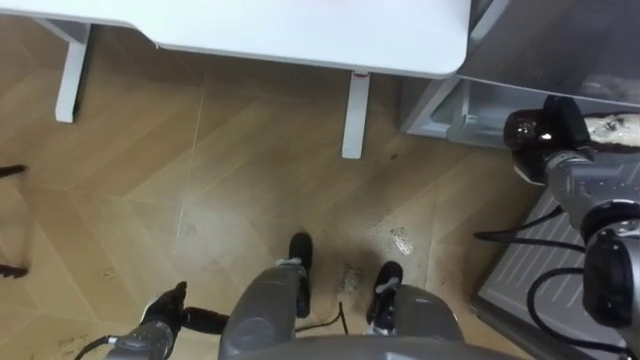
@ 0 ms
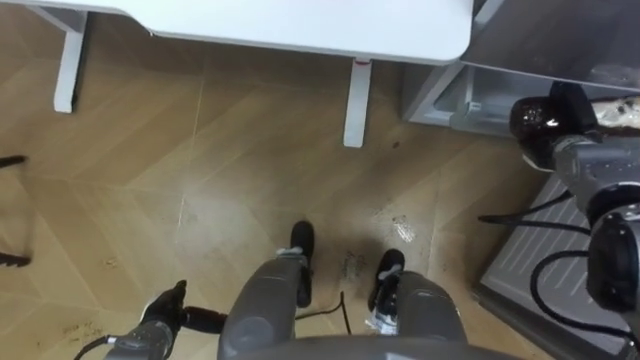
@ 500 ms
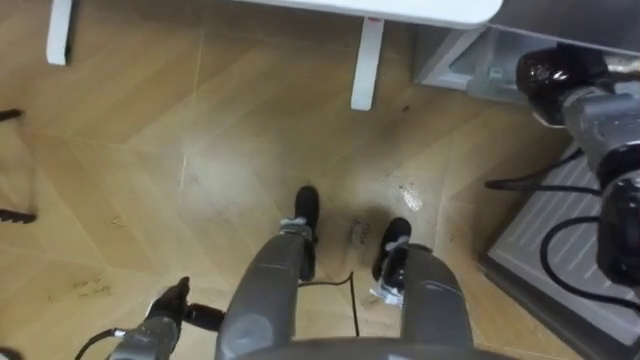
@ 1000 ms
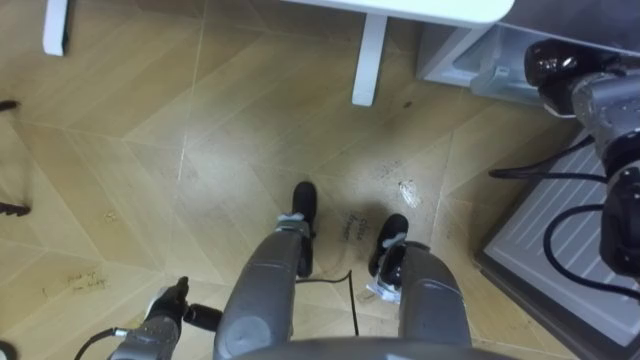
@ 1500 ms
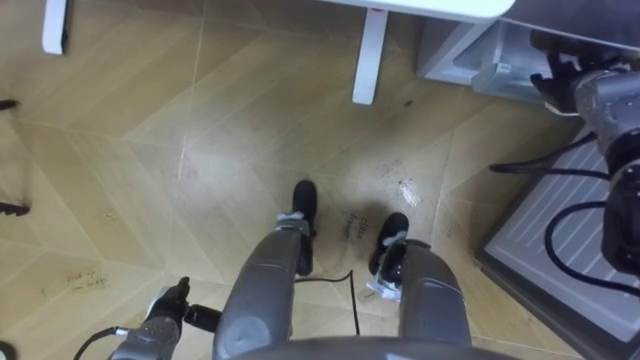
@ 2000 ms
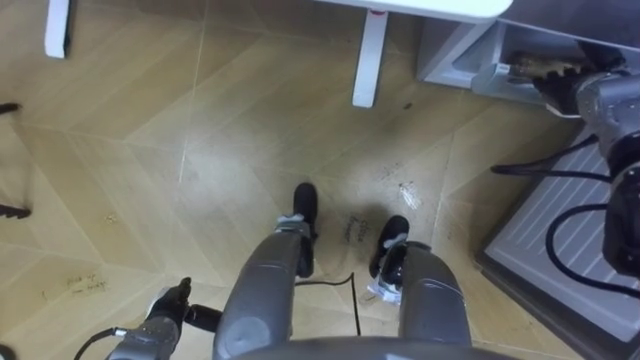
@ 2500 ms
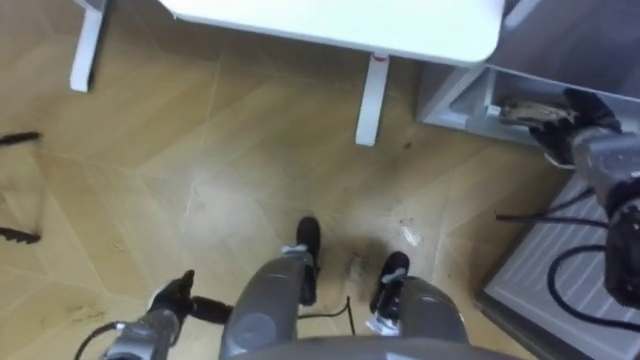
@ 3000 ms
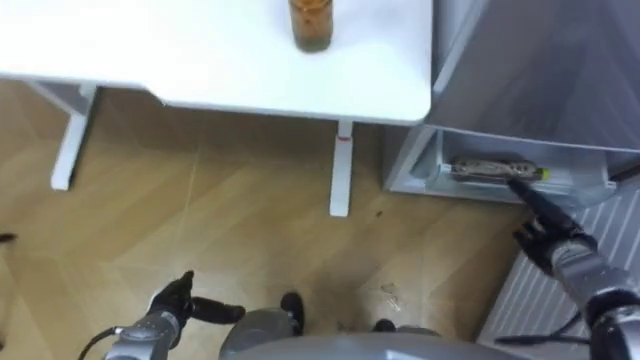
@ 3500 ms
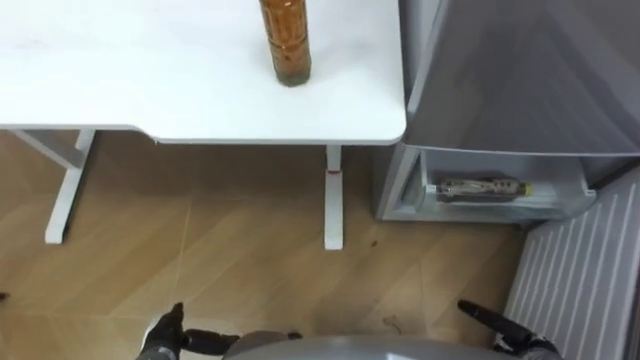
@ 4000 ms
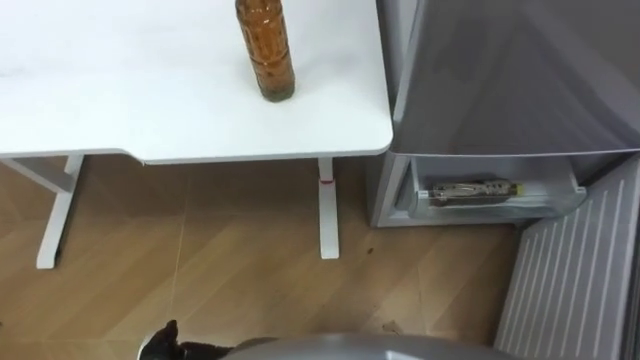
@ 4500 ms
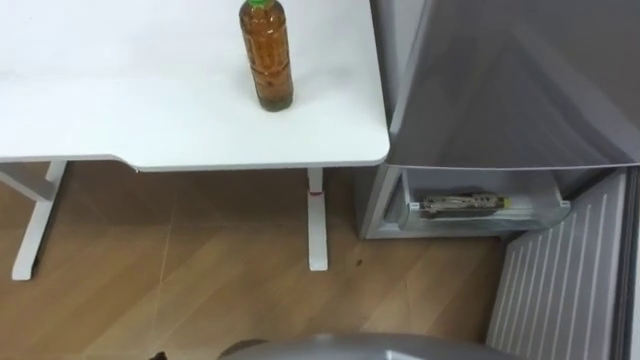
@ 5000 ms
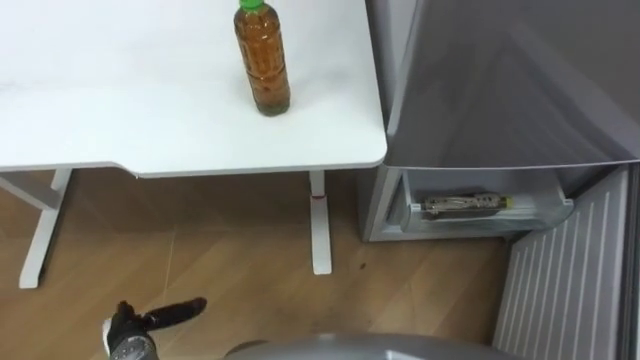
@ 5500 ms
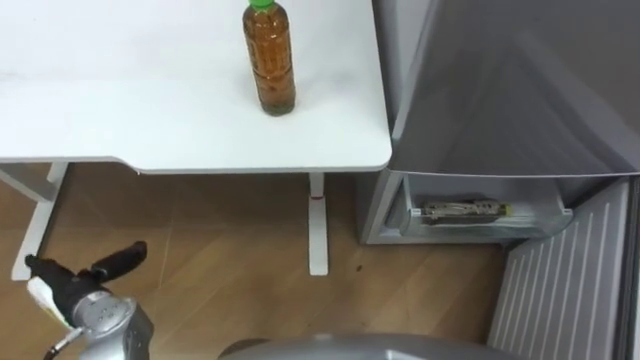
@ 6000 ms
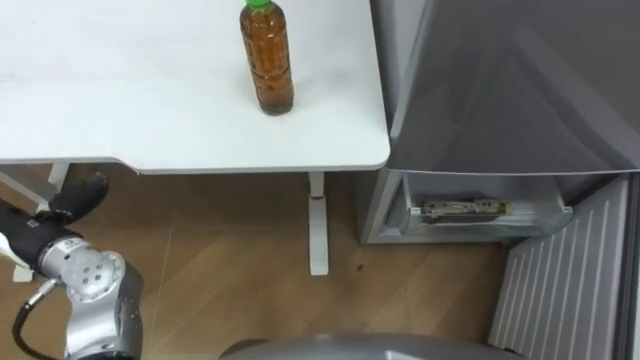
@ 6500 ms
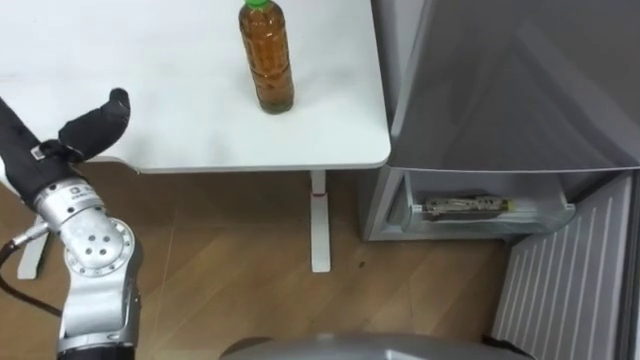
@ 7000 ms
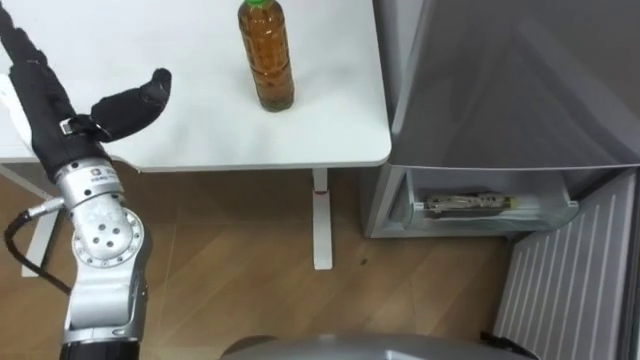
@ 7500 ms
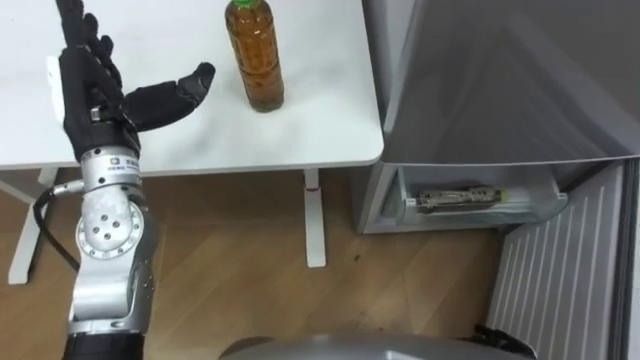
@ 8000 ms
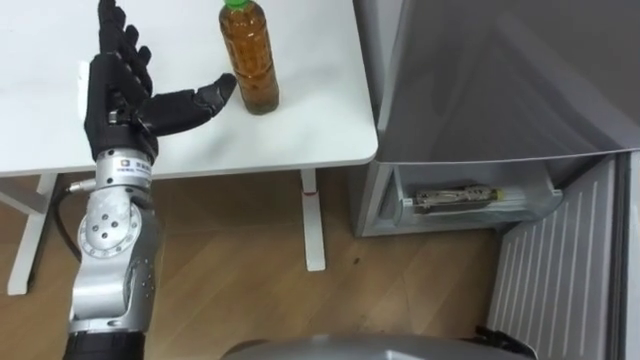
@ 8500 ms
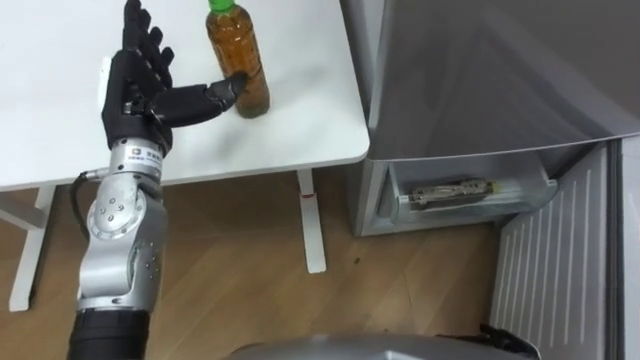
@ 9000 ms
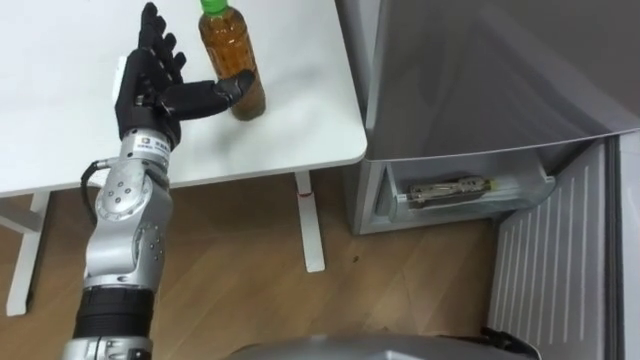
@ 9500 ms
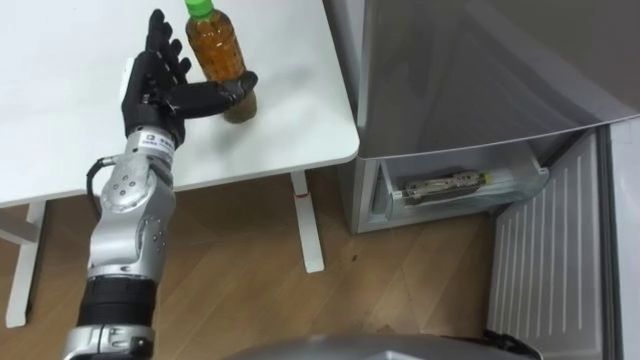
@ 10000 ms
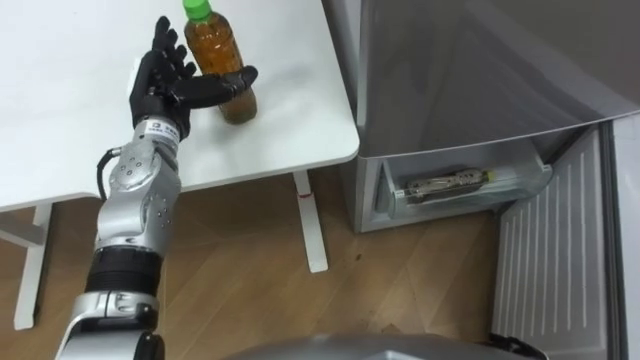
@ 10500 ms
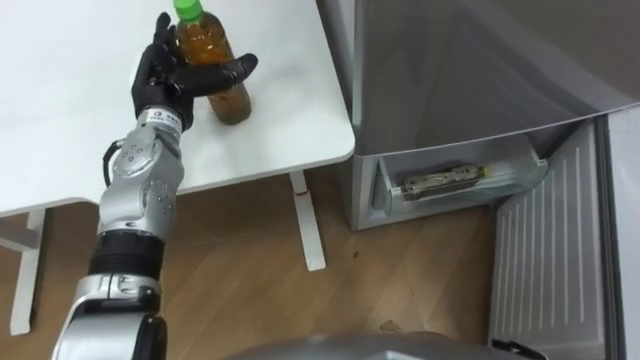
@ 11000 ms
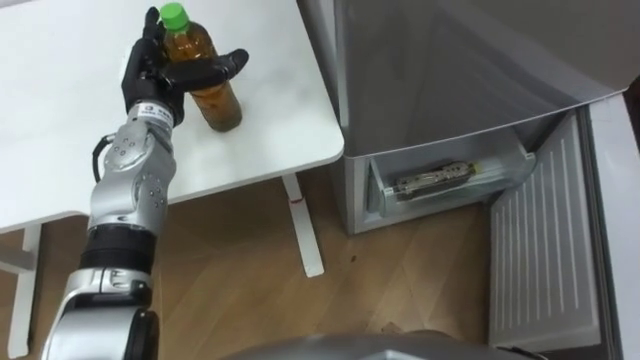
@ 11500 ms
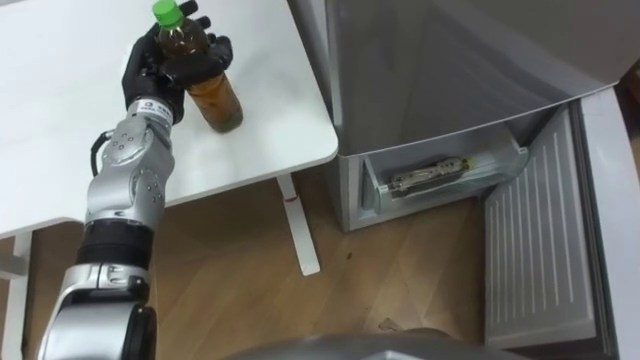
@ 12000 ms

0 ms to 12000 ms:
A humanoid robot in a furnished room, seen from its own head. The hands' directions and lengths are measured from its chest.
Task of the whole recording: Place the drink on the table on the bottom shelf of the refrigerator, then close the drawer and the refrigerator door.
0 ms to 2000 ms: The right hand goes some 10 cm upward and forward, and opens up.
2000 ms to 4000 ms: The right hand goes roughly 40 cm backward and downward.
6000 ms to 8000 ms: The left hand heads upward, forward and to the right, covering some 30 cm.
8000 ms to 10000 ms: The left hand is displaced downward by some 5 cm.
10000 ms to 12000 ms: The left hand closes up.

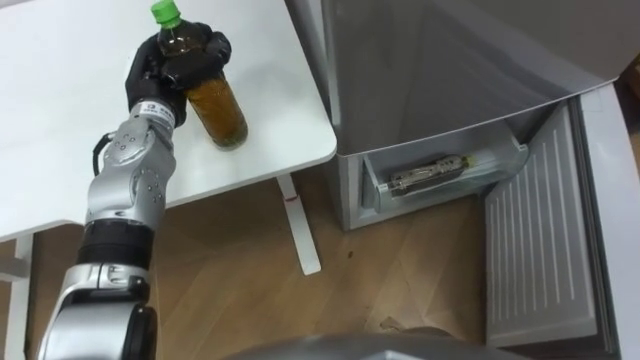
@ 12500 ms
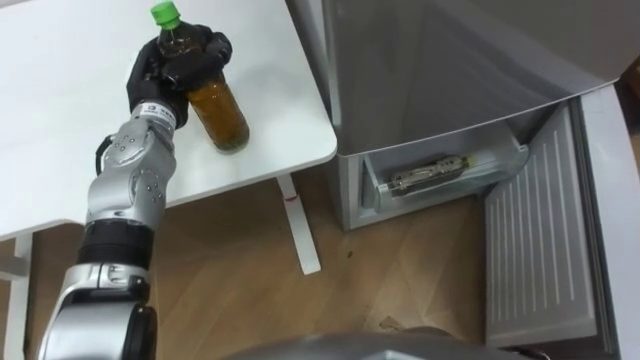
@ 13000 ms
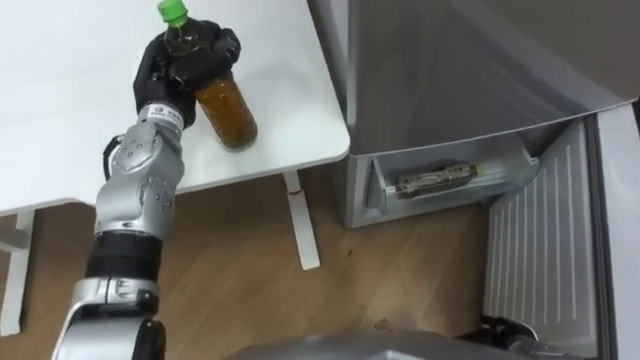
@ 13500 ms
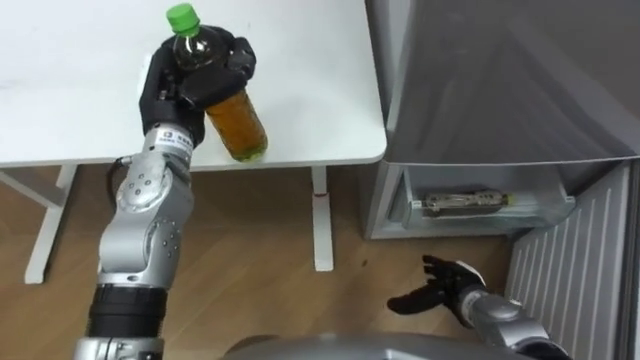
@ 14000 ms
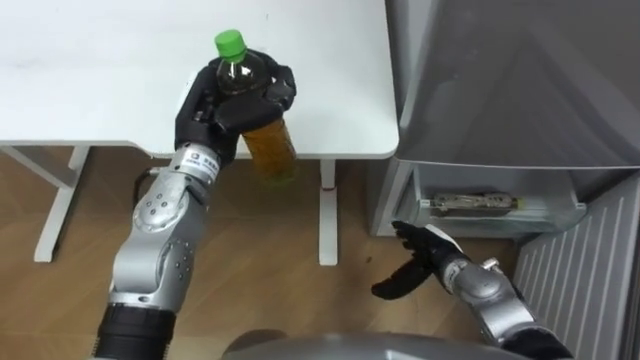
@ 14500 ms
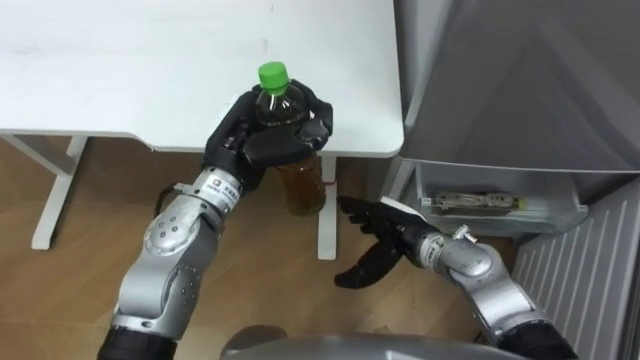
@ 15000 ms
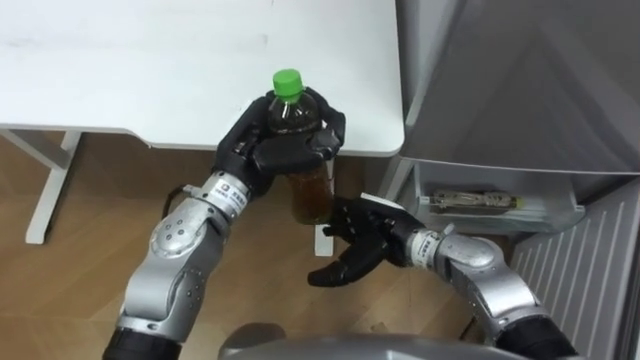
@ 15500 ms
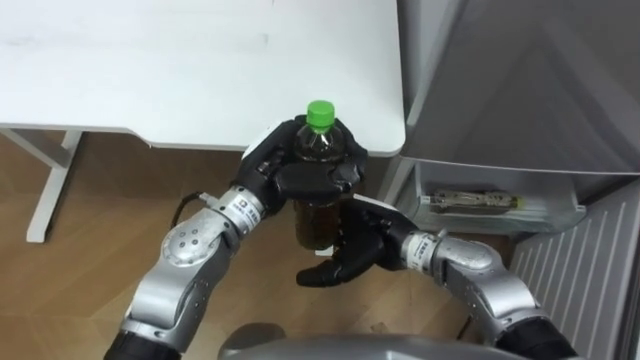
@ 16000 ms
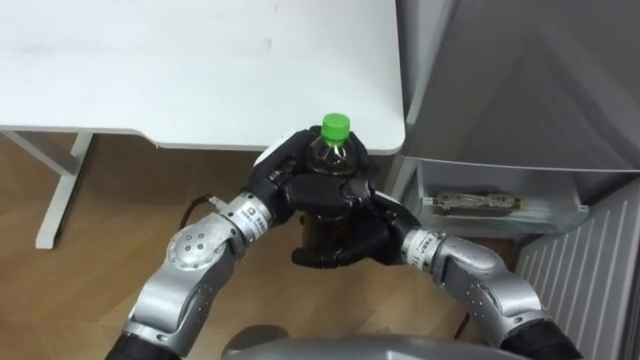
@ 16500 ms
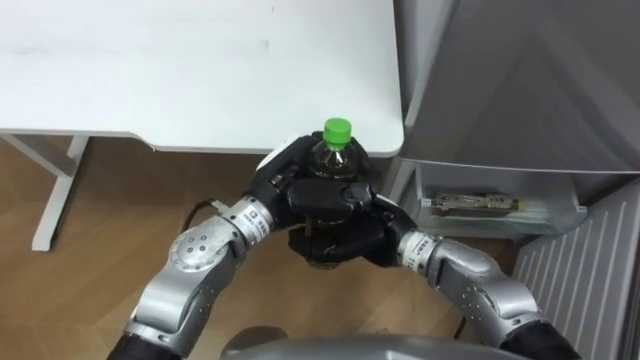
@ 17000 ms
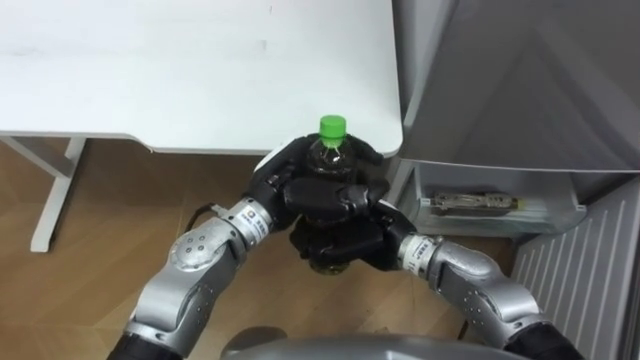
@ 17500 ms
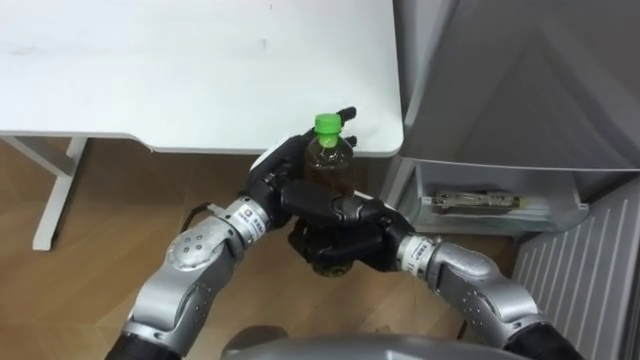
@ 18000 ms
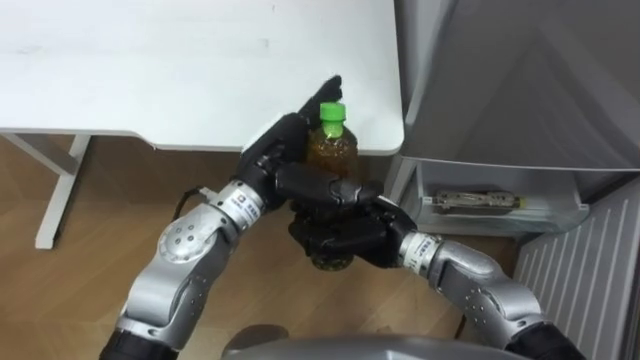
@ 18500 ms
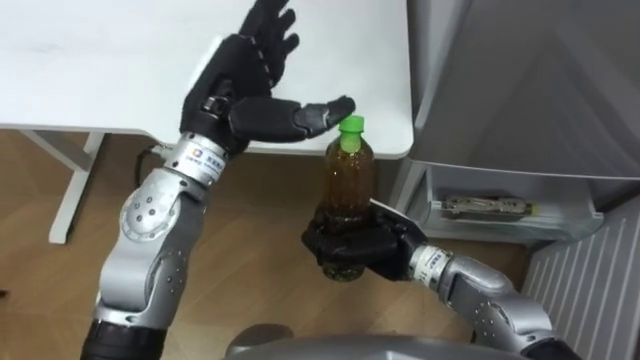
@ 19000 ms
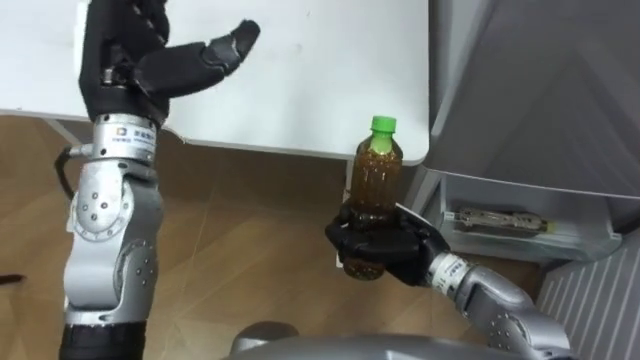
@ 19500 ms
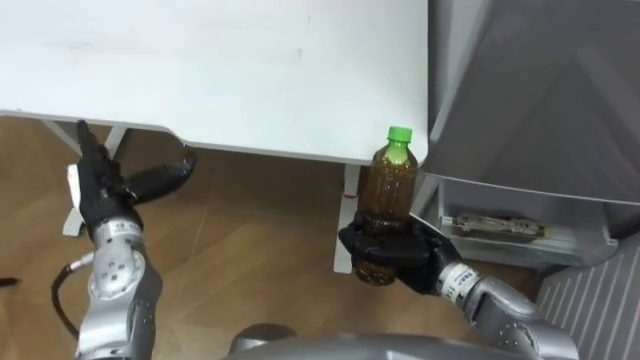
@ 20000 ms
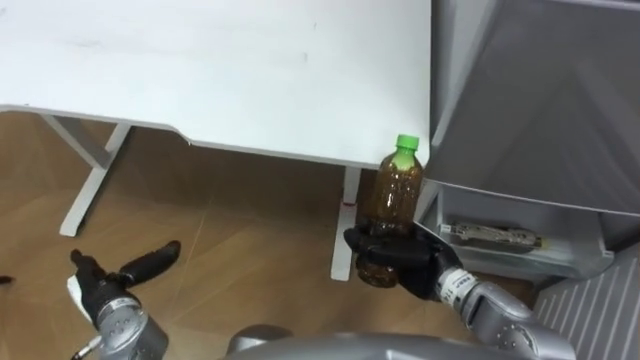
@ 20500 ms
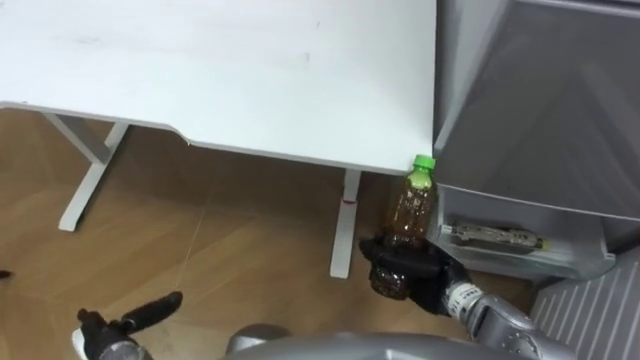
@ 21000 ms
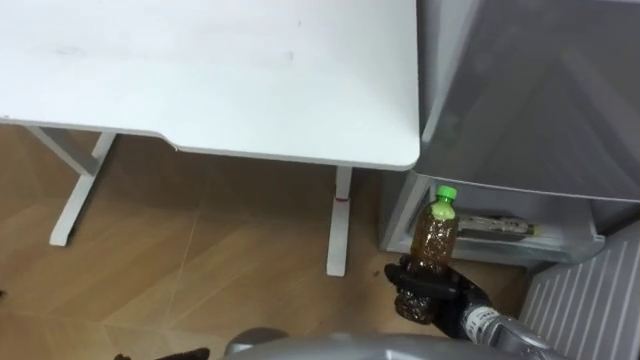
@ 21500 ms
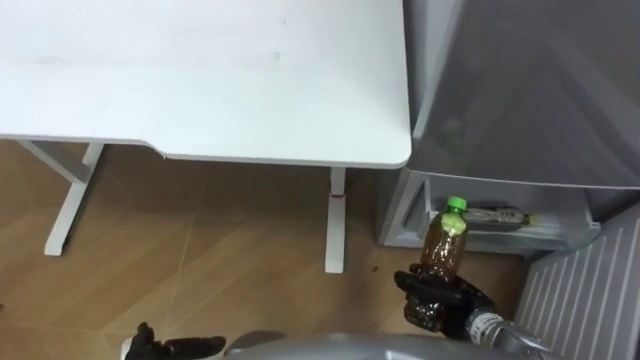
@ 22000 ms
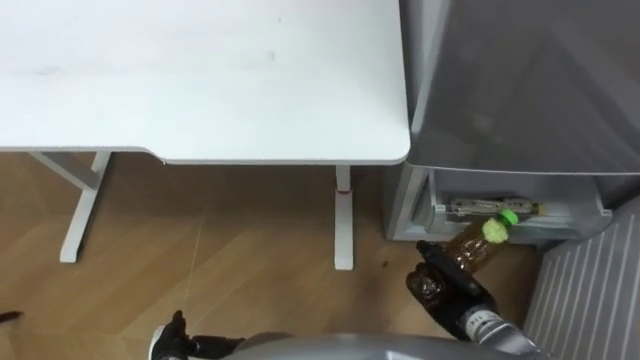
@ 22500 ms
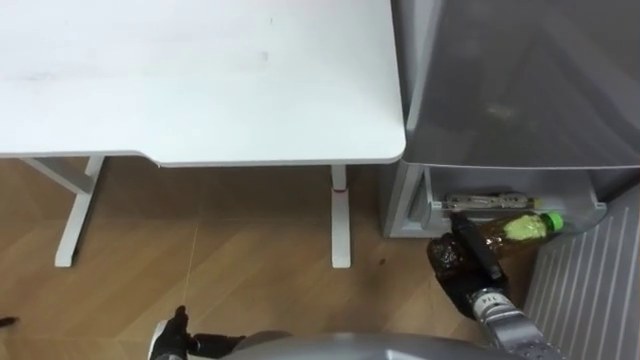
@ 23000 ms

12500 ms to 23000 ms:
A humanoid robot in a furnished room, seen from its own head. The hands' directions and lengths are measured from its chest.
Task of the whole recording: Place the drink on the table on the bottom shelf of the refrigerator, then close the drawer and the refrigerator door.
12500 ms to 14500 ms: The left hand heads to the right and backward, covering about 10 cm.
14500 ms to 16500 ms: The left hand travels to the right and backward by roughly 10 cm. The right hand travels to the left and upward by roughly 15 cm.
16500 ms to 19000 ms: The right hand closes up. Meanwhile the left hand moves upward and to the left, roughly 10 cm, and opens up.
19000 ms to 21000 ms: The left hand travels downward, backward and to the left by approximately 40 cm, while the right hand goes some 10 cm to the right and downward.
21000 ms to 23000 ms: The right hand moves to the right, roughly 5 cm.
